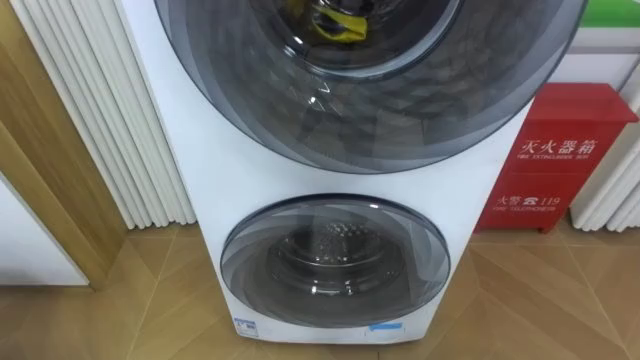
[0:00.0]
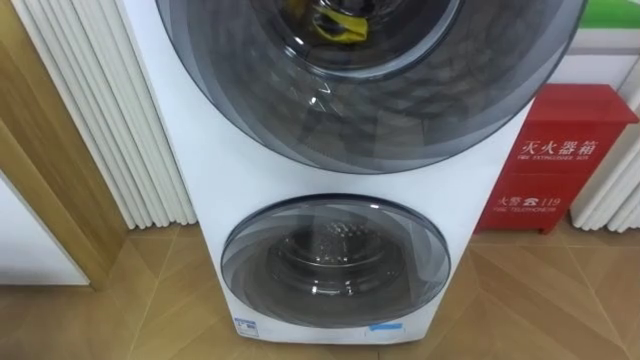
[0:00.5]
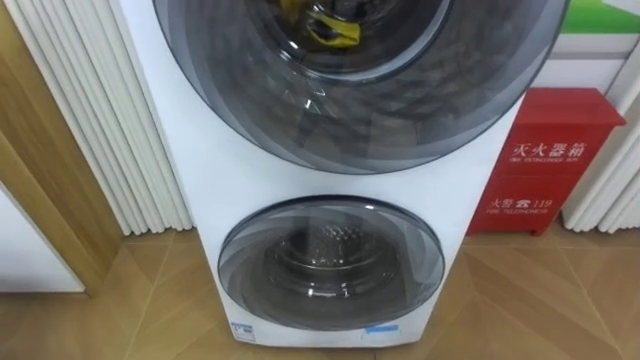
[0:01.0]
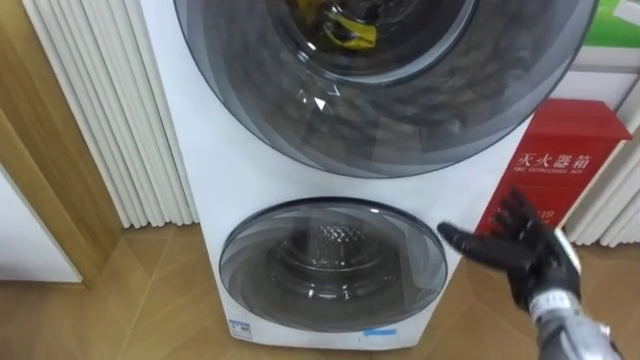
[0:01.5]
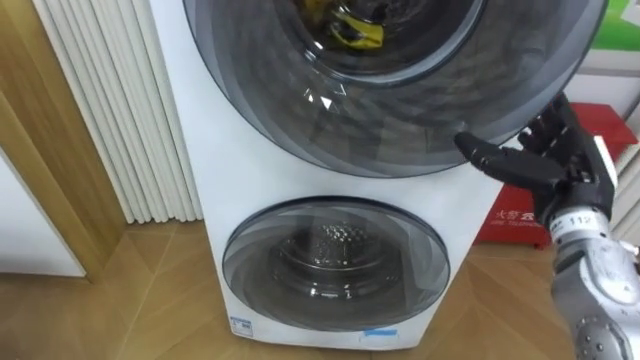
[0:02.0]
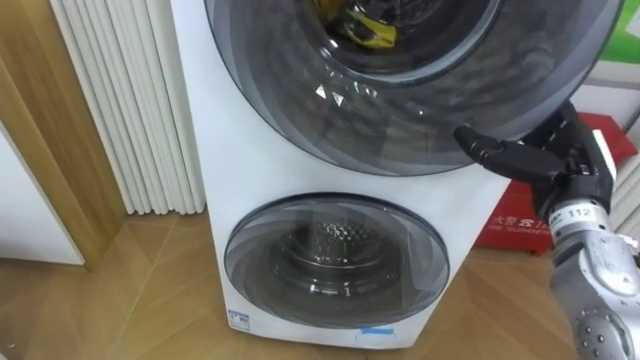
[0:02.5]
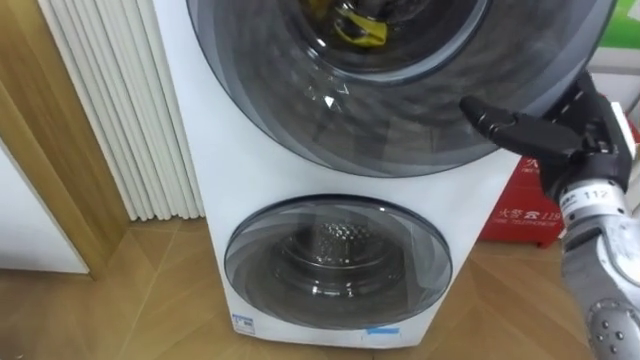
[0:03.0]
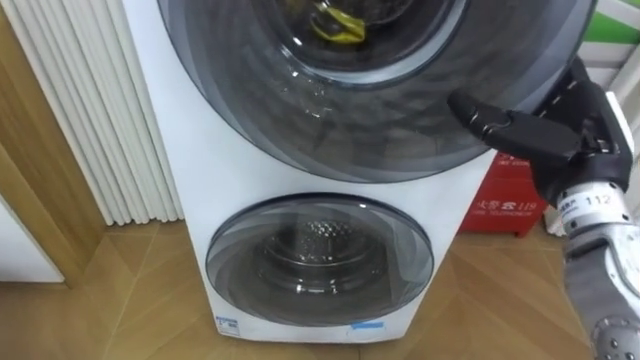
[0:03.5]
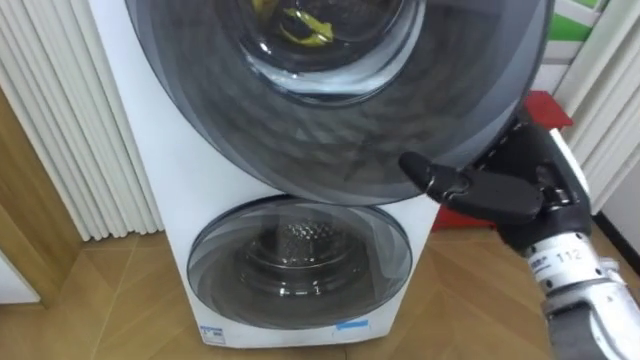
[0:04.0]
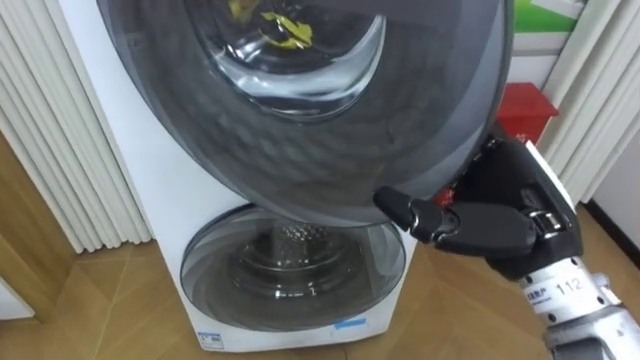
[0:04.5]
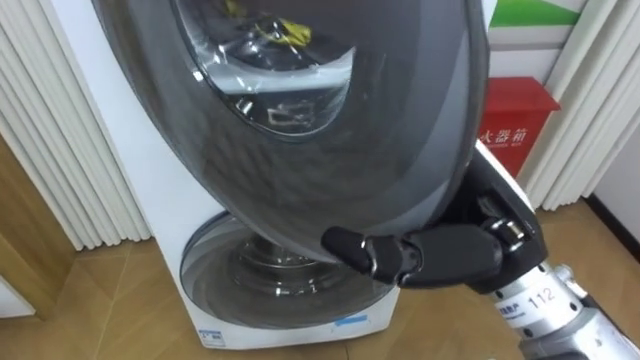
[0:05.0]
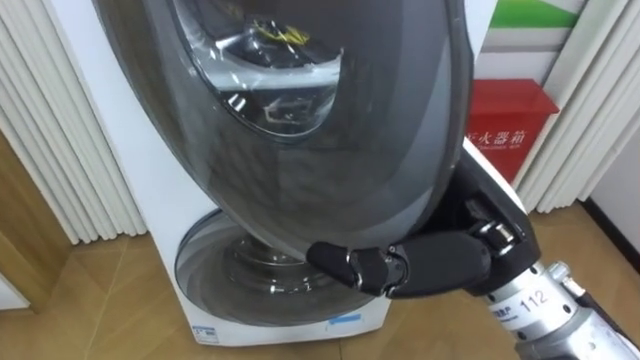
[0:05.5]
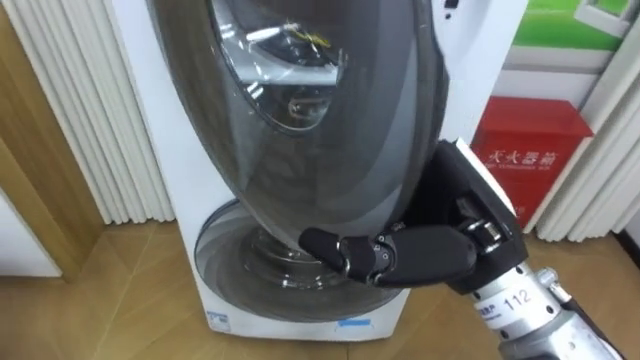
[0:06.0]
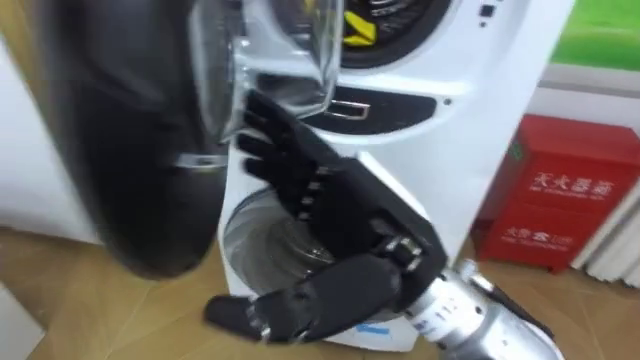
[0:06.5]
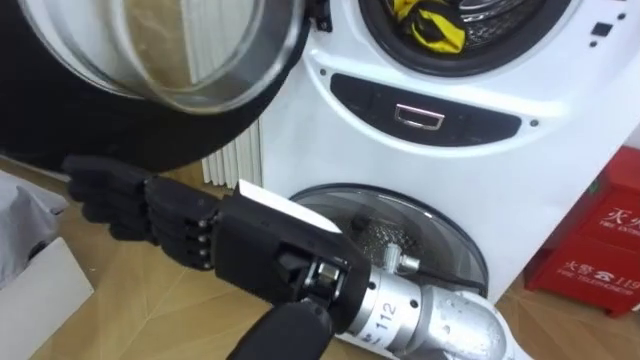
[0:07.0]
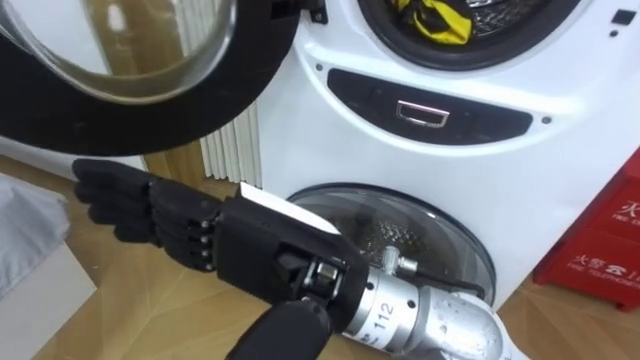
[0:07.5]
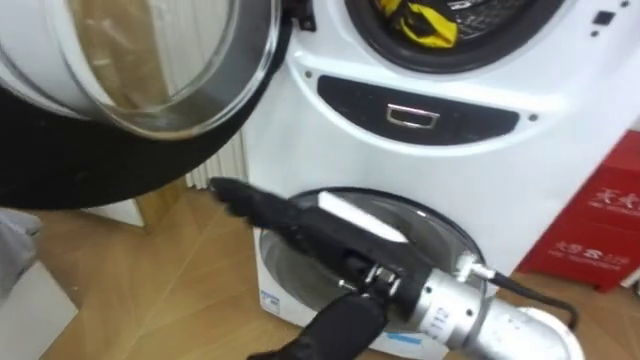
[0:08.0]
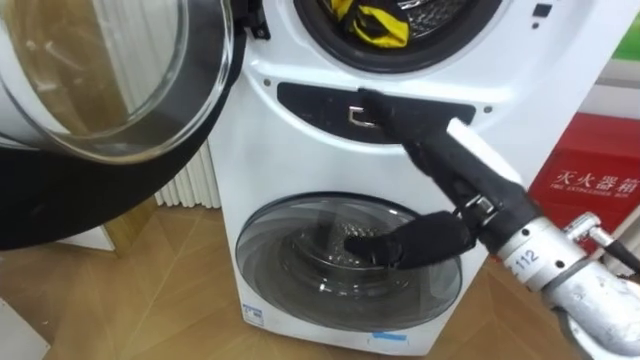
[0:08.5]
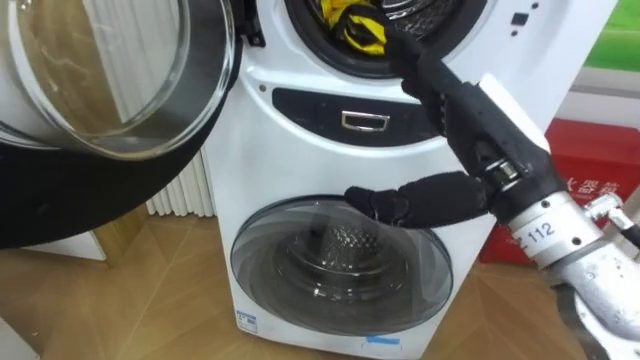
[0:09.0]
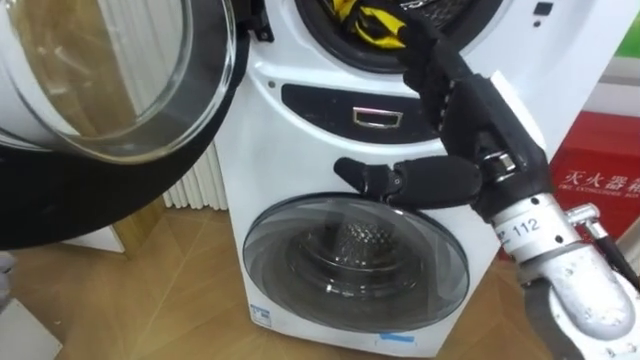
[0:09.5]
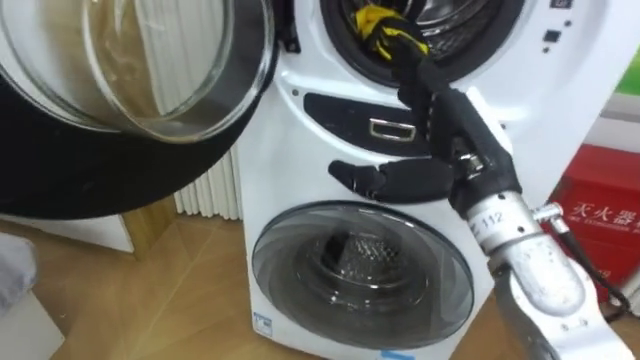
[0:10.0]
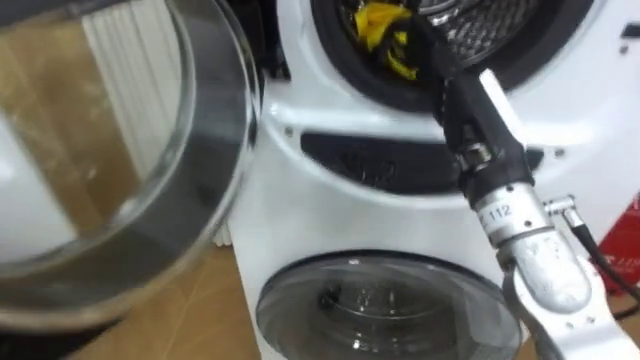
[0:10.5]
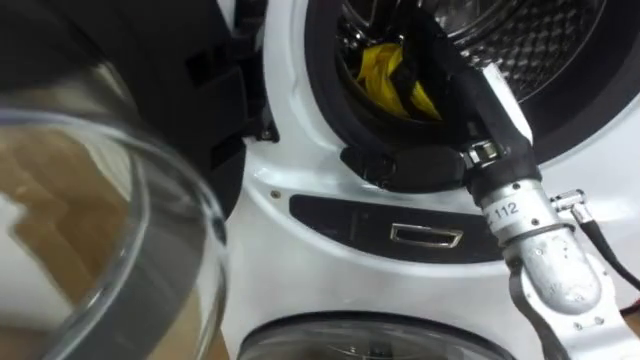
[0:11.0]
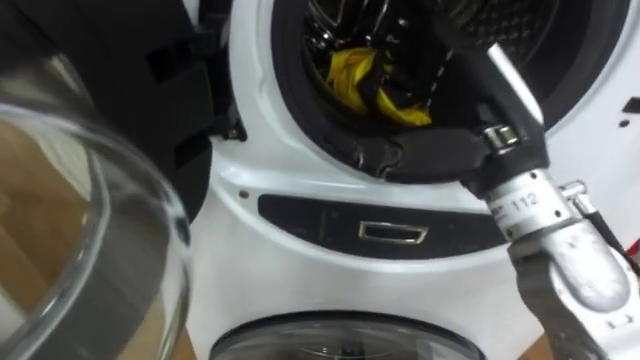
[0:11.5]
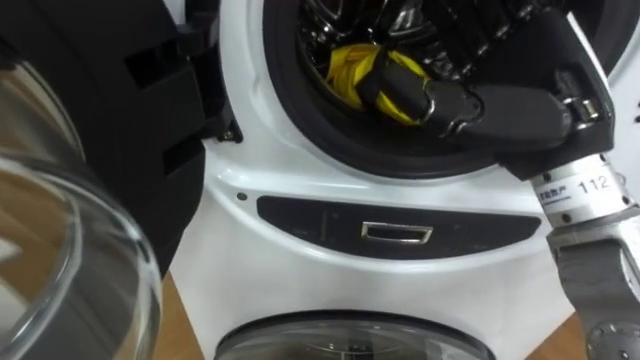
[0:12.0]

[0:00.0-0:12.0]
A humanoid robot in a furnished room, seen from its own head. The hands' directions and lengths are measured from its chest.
Task of the whole recording: Open the washing machine door, take out the yellow clothes, place them in the box on the right, and close the washing machine door.
0:02.0 to 0:04.0: The right hand moves to the left and backward, roughly 10 cm.
0:04.0 to 0:06.0: The right hand travels to the left by some 10 cm.
0:06.0 to 0:08.0: The right hand travels to the left by roughly 10 cm.
0:08.0 to 0:10.0: The right hand heads to the right and forward, covering approximately 15 cm.
0:10.0 to 0:12.0: The right hand travels upward by approximately 5 cm.

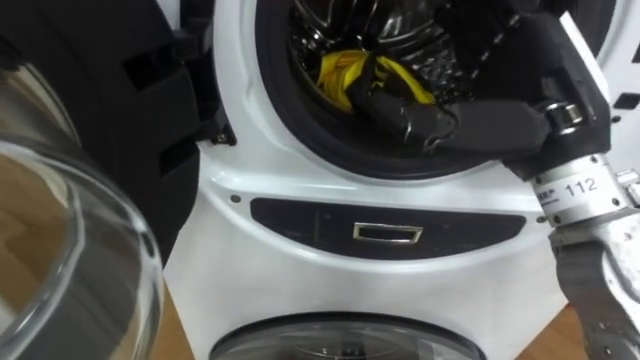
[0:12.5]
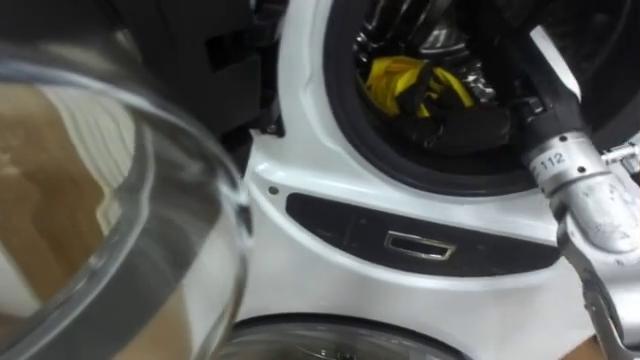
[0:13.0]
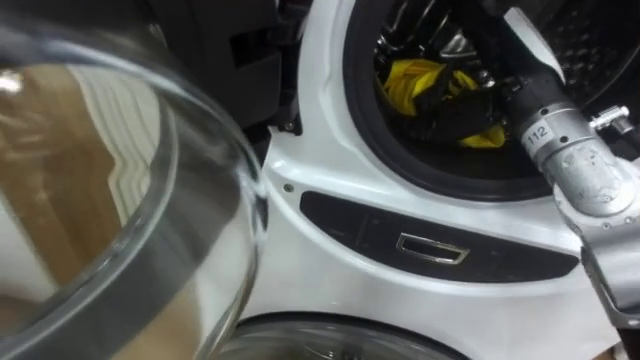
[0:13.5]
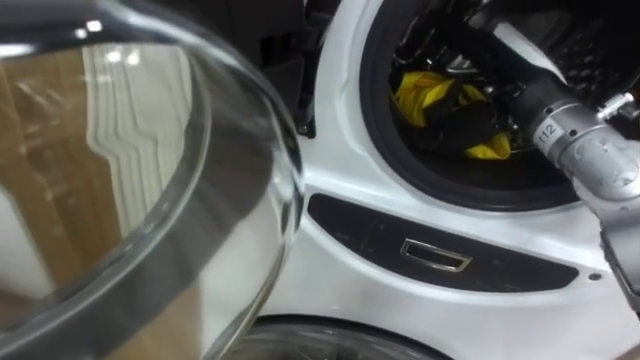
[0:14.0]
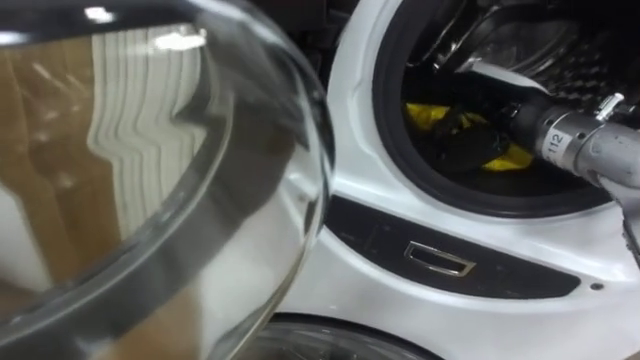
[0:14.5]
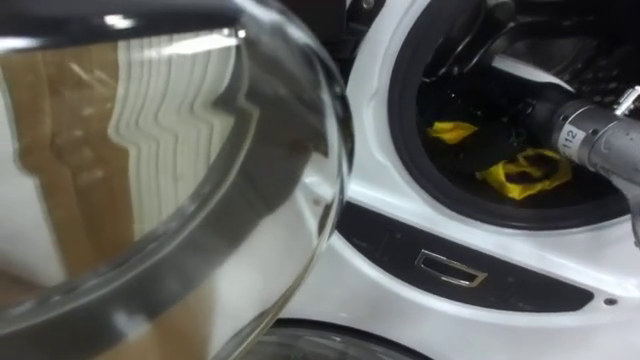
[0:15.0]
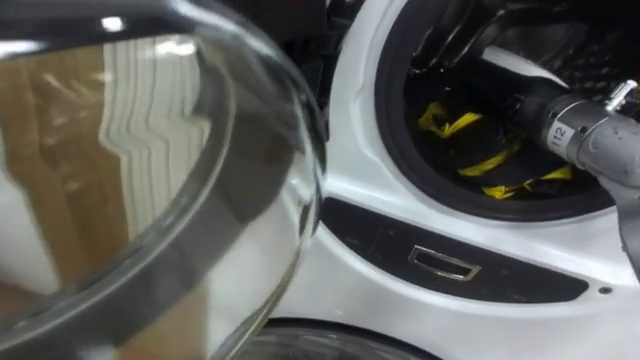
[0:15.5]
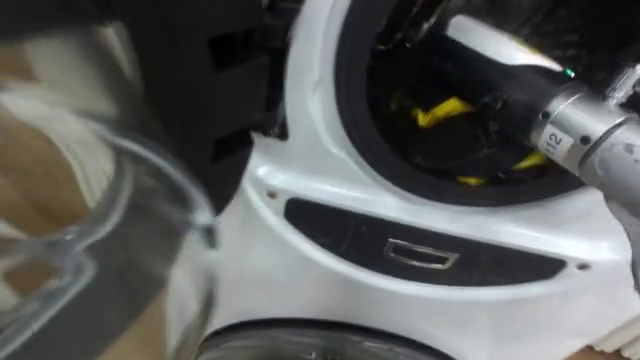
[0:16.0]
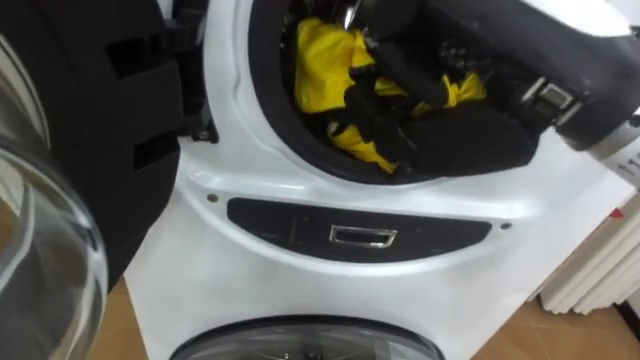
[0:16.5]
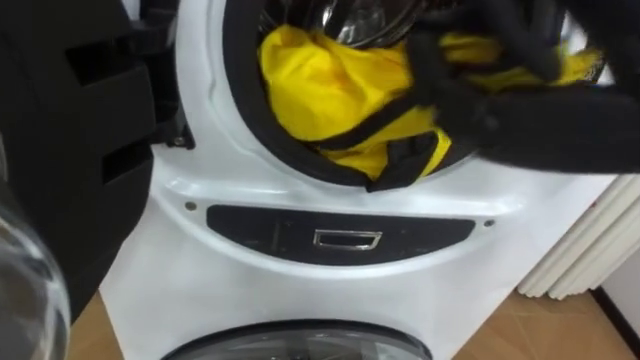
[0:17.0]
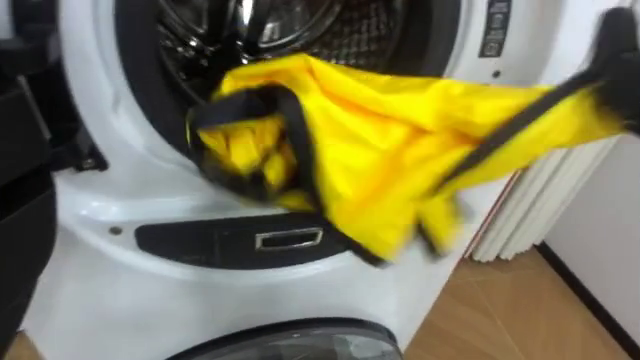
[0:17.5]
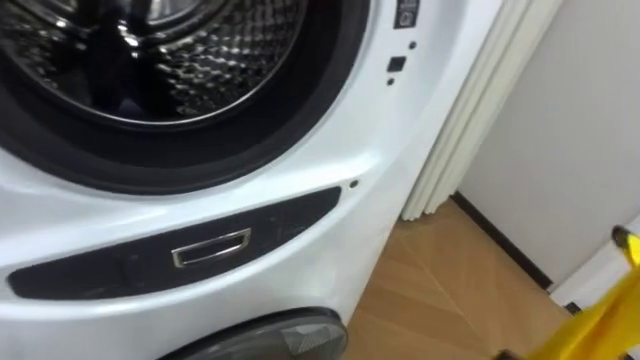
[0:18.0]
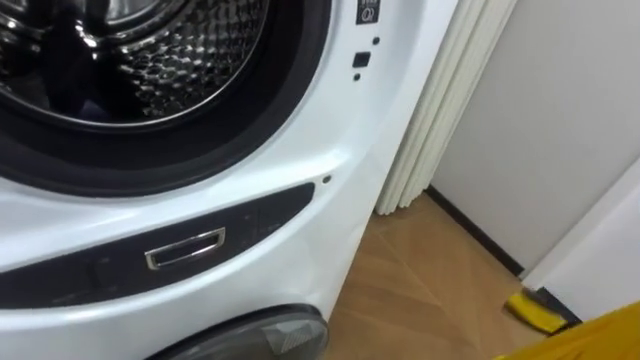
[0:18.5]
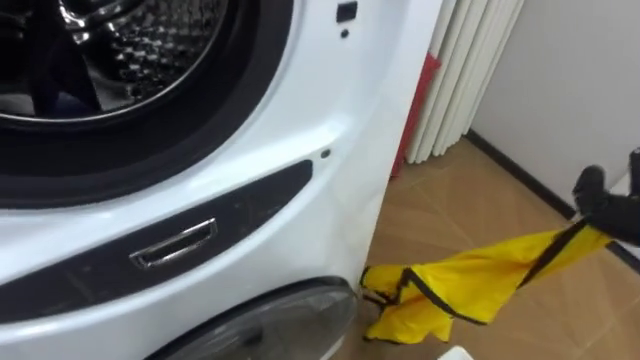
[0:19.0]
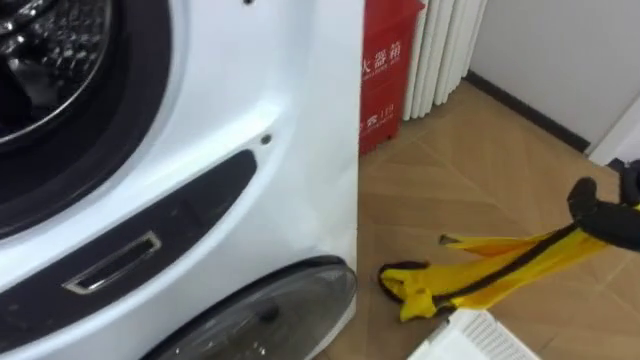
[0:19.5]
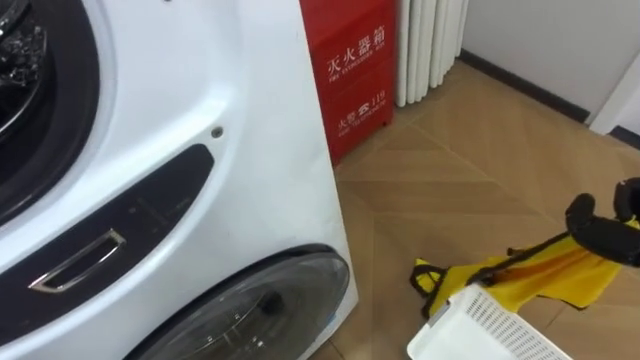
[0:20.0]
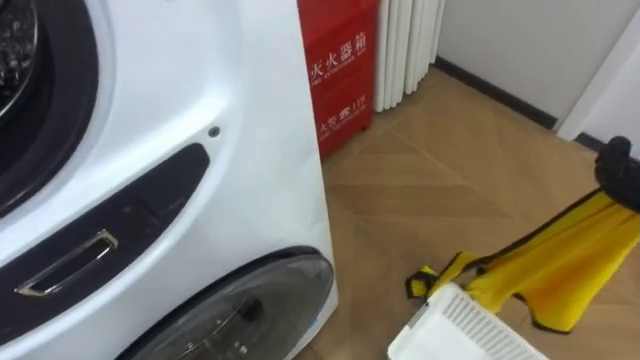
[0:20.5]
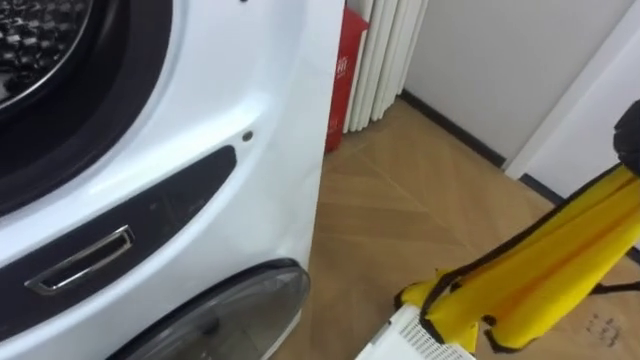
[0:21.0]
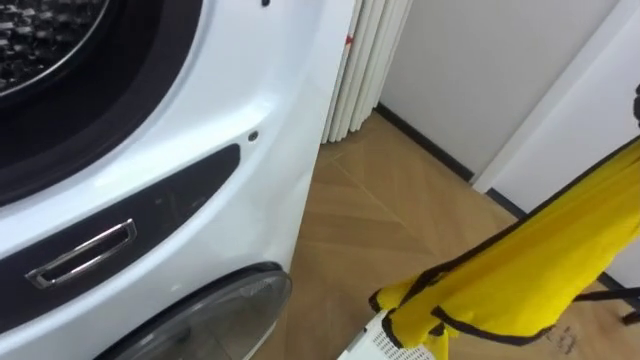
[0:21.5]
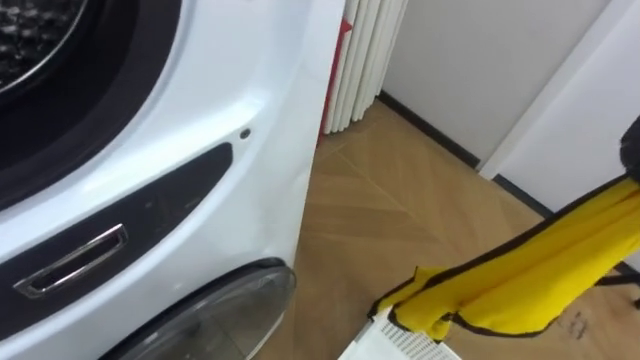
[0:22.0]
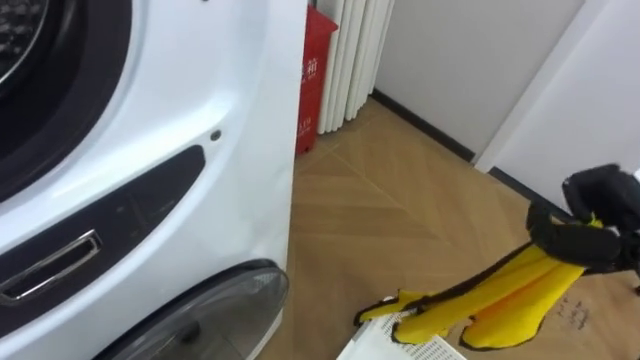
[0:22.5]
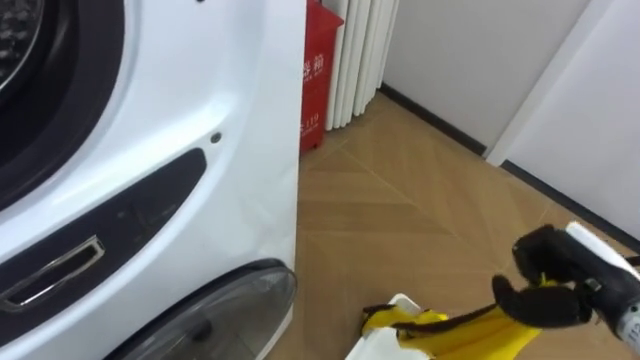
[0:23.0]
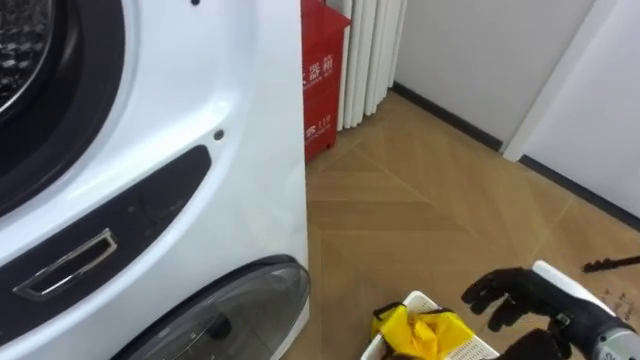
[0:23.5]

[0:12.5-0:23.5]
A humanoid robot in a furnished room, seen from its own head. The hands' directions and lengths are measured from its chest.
Task of the whole recording: Open the washing machine door, take out the yellow clothes, place them in the box on the right, and close the washing machine door.
0:12.5 to 0:14.5: The right hand is displaced forward and downward by roughly 10 cm.
0:14.5 to 0:16.0: The right hand goes about 10 cm upward and backward, and closes its fingers.
